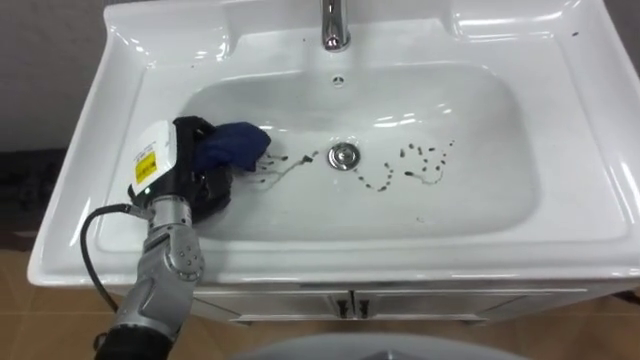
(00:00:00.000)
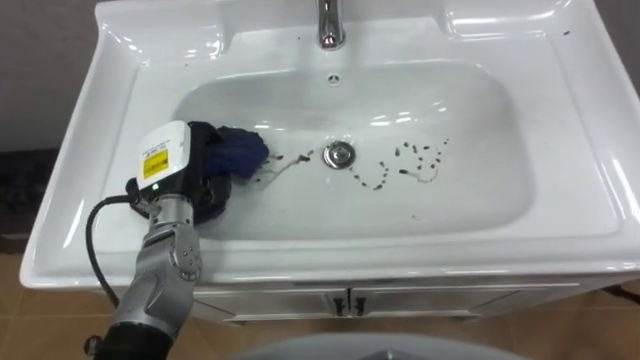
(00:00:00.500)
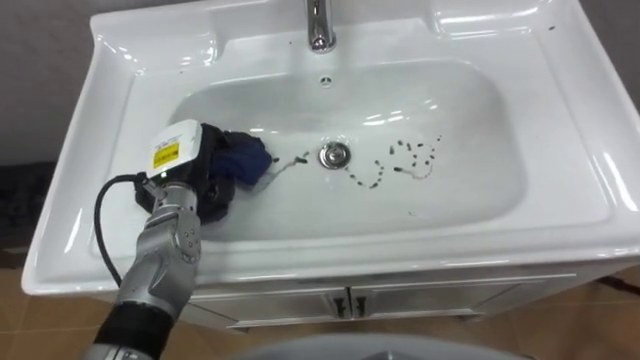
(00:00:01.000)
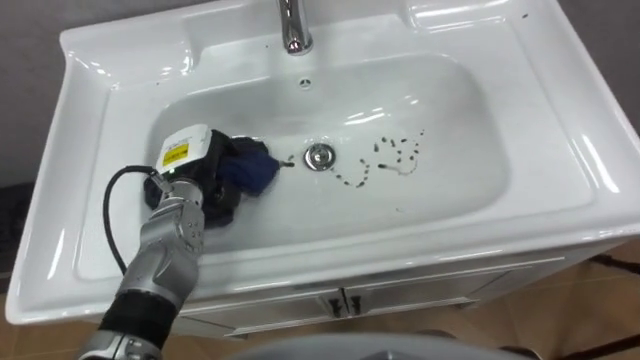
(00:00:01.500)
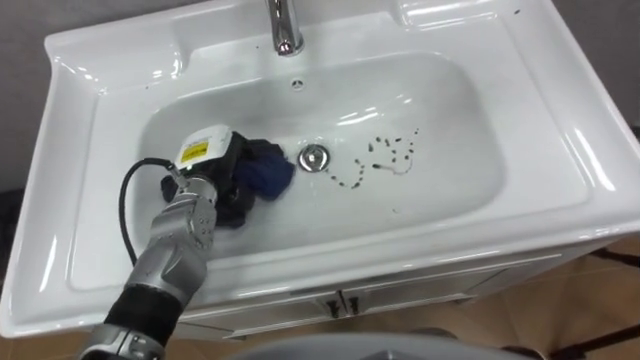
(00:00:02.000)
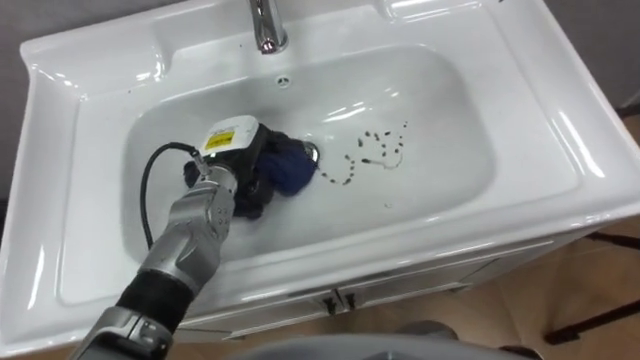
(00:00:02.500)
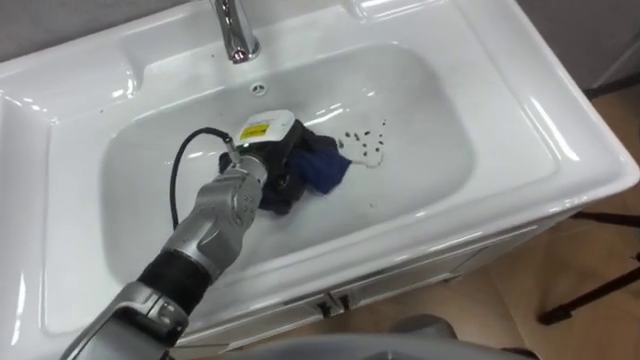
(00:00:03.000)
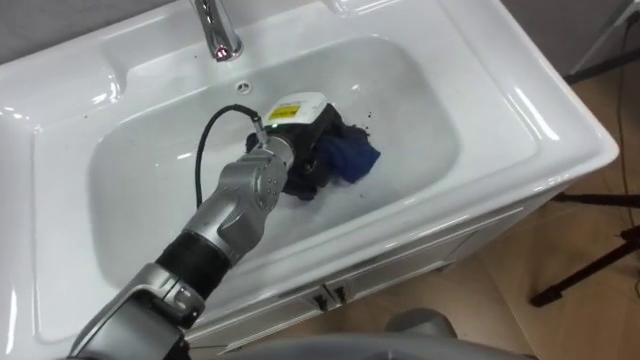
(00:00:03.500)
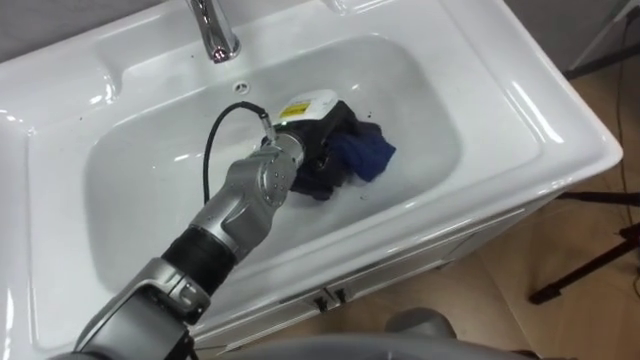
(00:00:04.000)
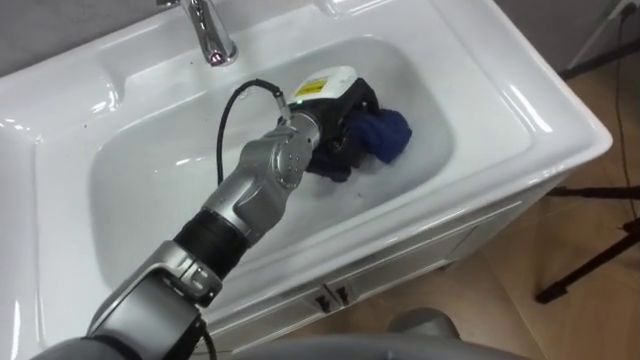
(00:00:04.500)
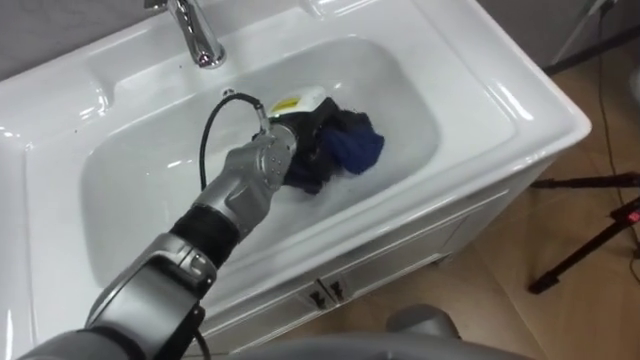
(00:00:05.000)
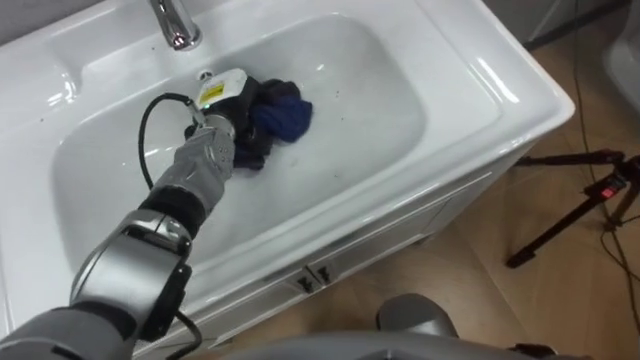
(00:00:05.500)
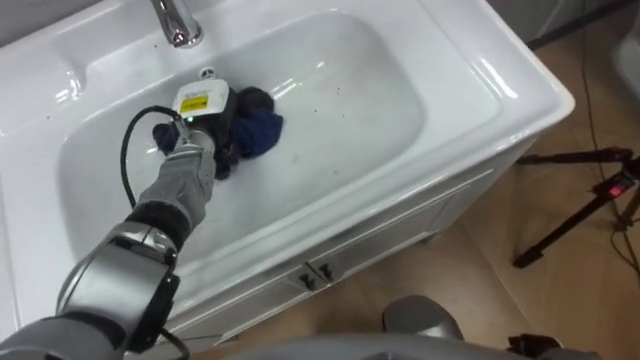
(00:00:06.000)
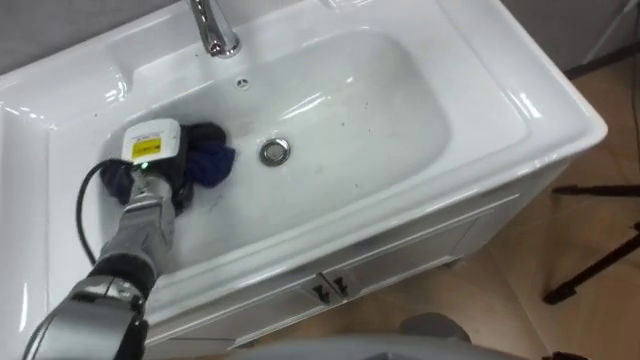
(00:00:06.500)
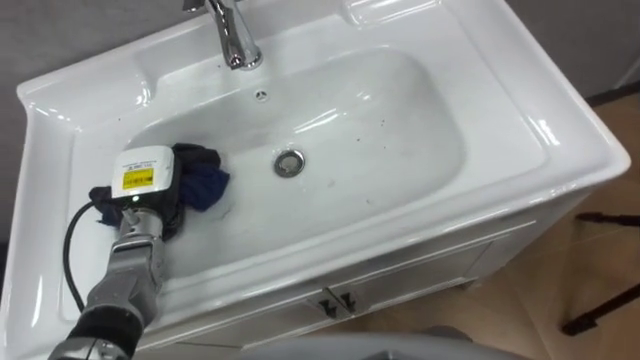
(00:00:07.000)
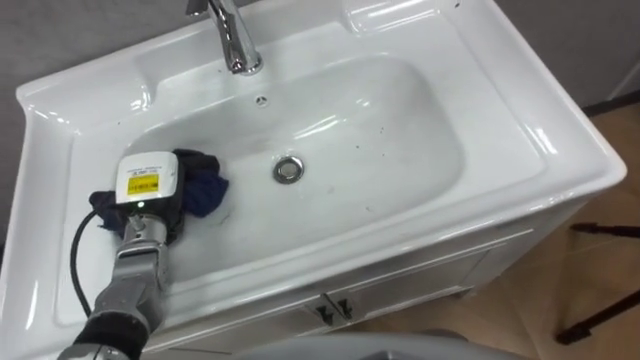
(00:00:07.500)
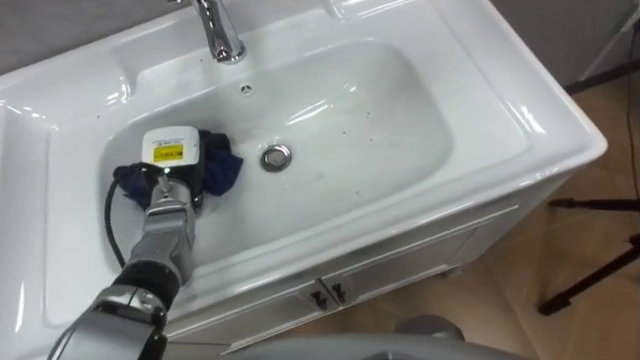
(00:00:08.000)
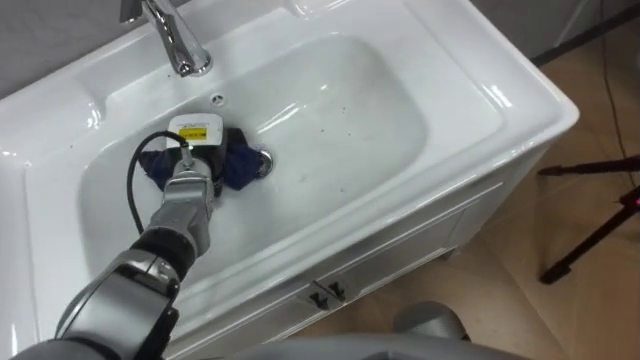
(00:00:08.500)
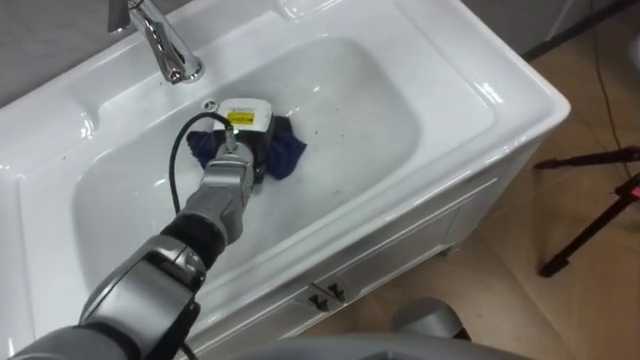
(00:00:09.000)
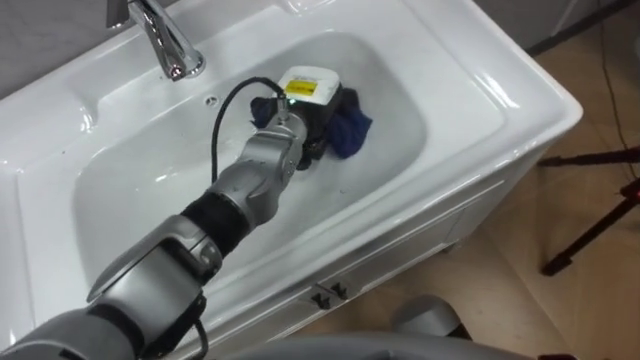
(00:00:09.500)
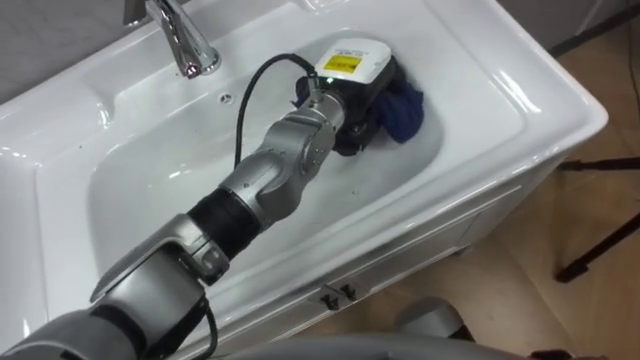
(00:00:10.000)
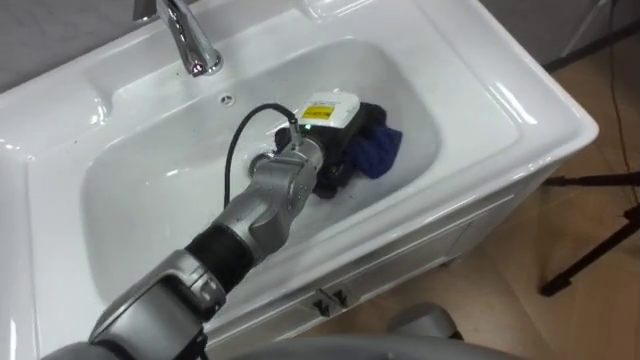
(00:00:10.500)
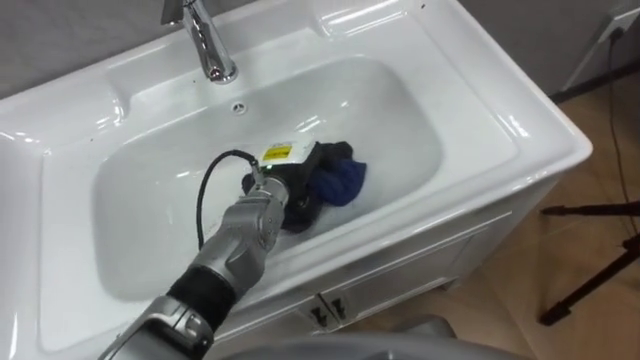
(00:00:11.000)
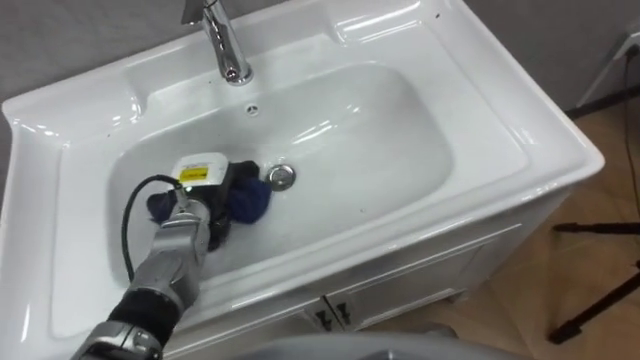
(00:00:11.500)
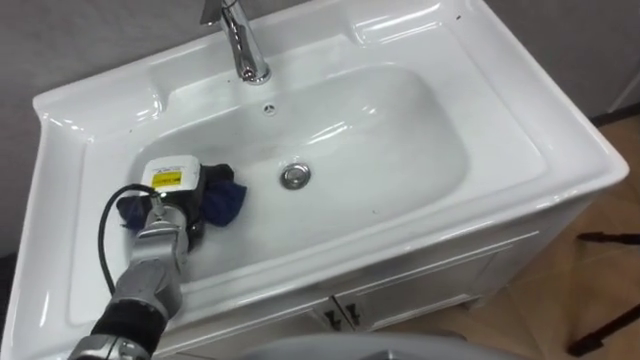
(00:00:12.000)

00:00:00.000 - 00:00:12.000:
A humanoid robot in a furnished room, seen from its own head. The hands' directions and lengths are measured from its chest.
Task of the whole recording: Use the cloth on the right to wipe away the black stain in the sink.
00:00:00.000 - 00:00:02.000: The left hand moves roughly 5 cm.
00:00:02.000 - 00:00:04.000: The left hand is displaced to the right by roughly 15 cm.
00:00:04.000 - 00:00:06.000: The left hand heads to the left, covering about 15 cm.
00:00:06.000 - 00:00:08.000: The left hand heads backward, covering roughly 5 cm.
00:00:08.000 - 00:00:10.000: The left hand is displaced to the right and upward by approximately 30 cm.
00:00:10.000 - 00:00:12.000: The left hand goes approximately 30 cm to the left and downward.

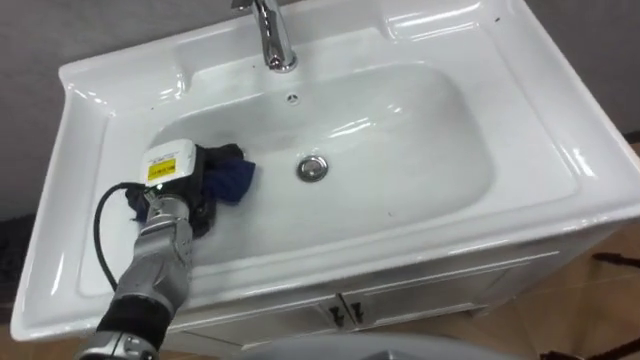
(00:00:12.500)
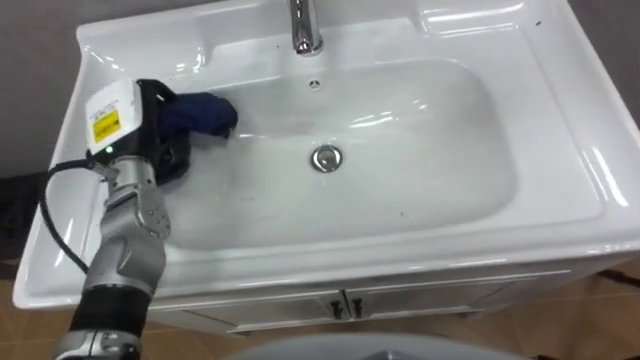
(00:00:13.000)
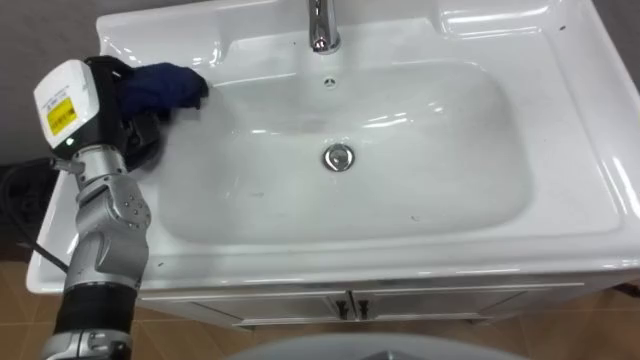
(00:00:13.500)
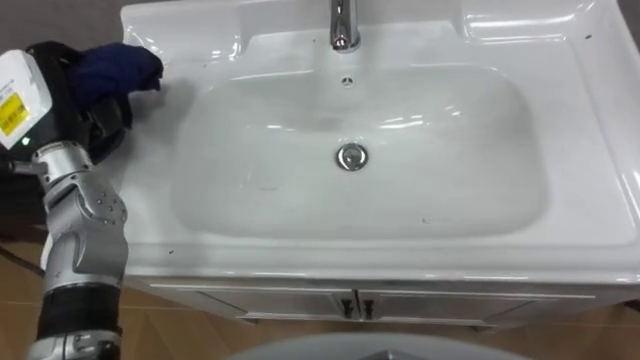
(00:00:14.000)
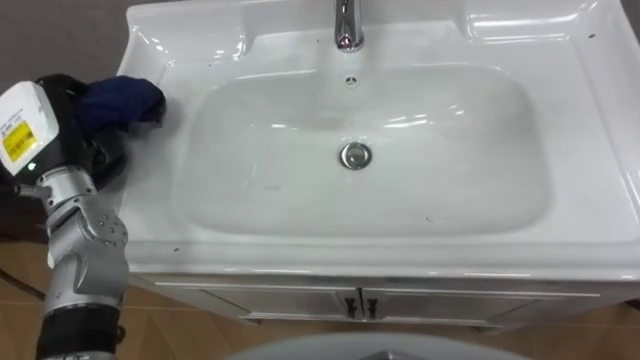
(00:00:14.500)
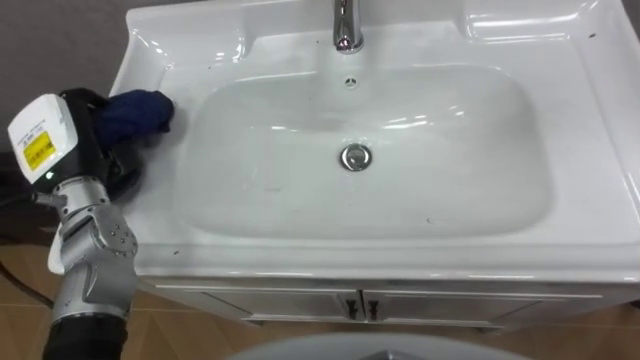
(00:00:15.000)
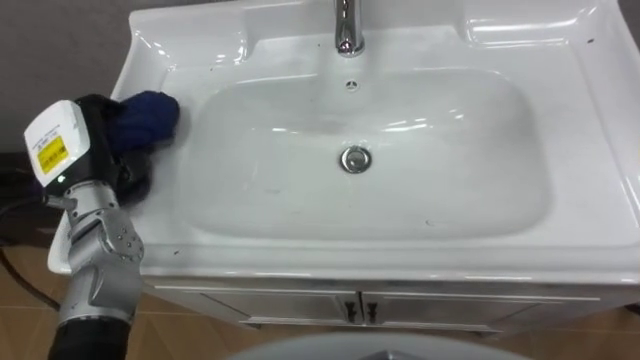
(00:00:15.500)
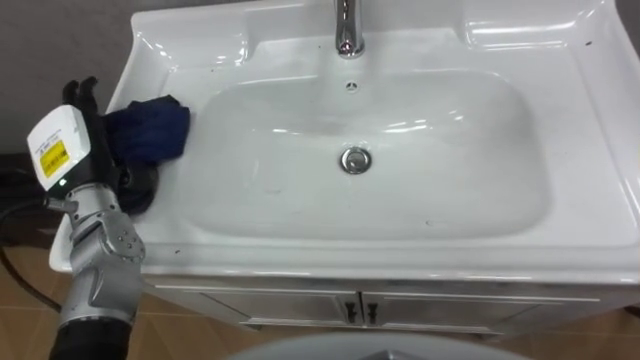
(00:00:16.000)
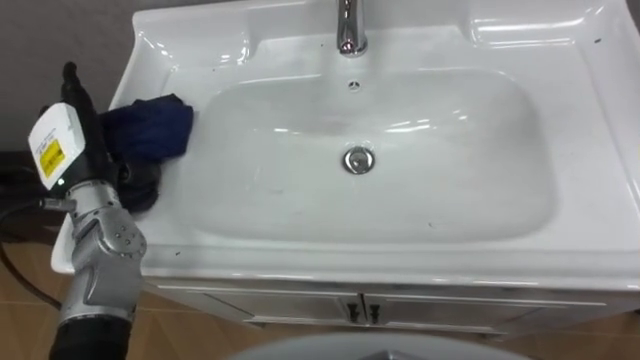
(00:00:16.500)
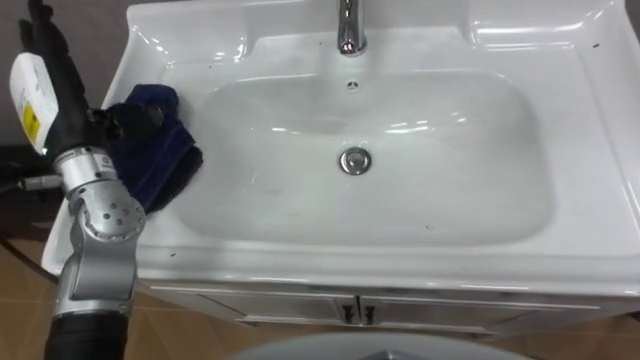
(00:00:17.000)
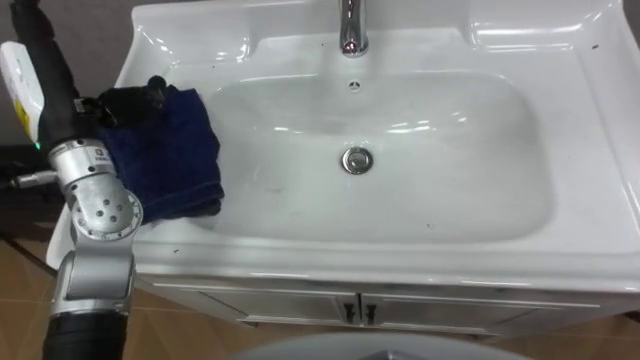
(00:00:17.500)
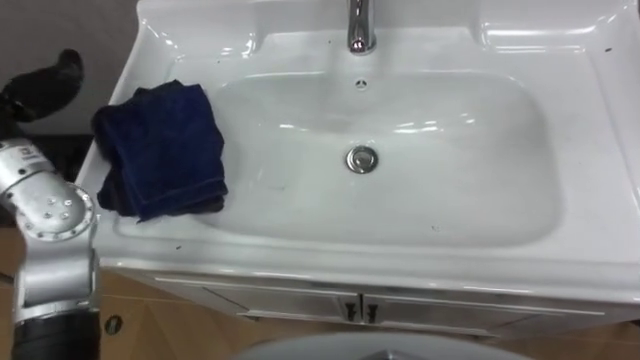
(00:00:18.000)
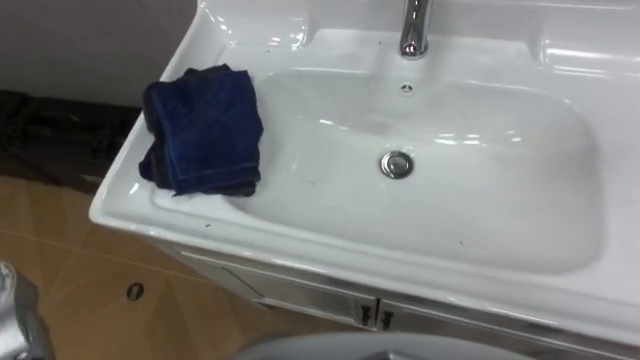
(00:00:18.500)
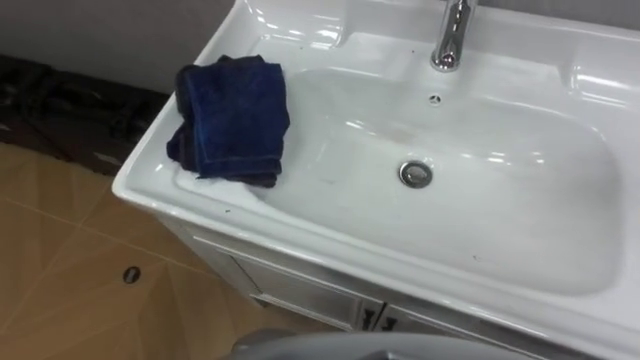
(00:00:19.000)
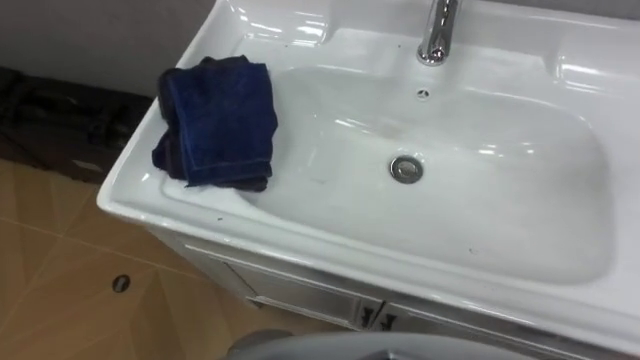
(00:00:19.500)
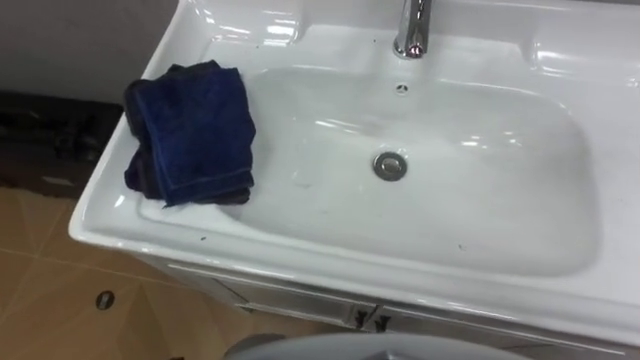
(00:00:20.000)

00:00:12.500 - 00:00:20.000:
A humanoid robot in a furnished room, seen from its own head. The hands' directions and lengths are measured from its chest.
Task of the whole recording: Use the cloth on the right to wipe away the black stain in the sink.
00:00:12.500 - 00:00:14.500: The left hand travels upward and to the left by approximately 15 cm.
00:00:14.500 - 00:00:16.500: The left hand opens.
